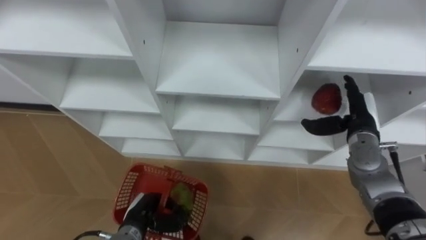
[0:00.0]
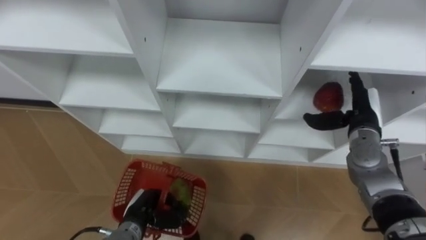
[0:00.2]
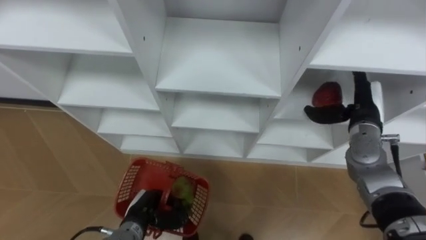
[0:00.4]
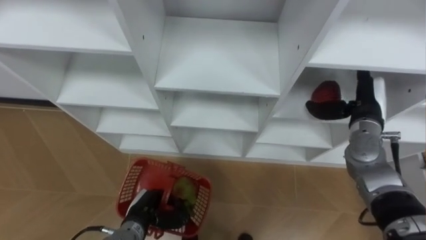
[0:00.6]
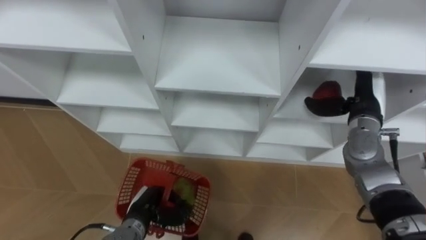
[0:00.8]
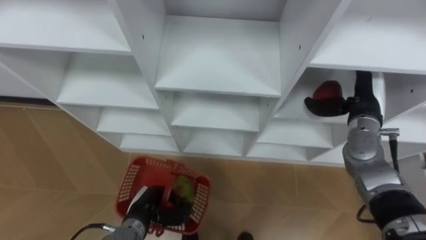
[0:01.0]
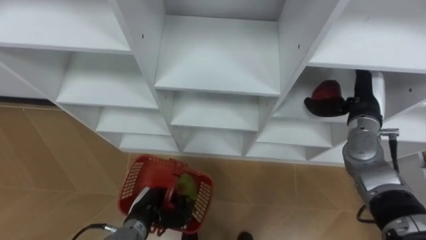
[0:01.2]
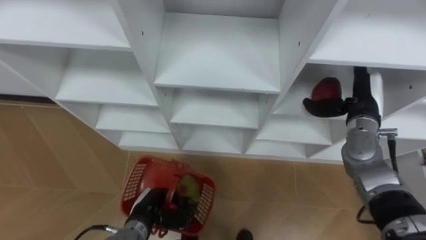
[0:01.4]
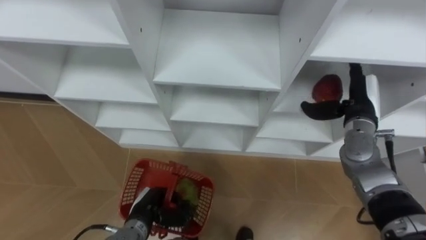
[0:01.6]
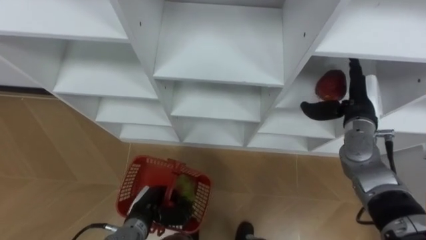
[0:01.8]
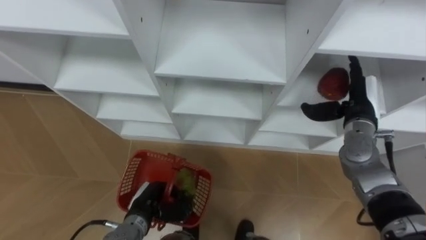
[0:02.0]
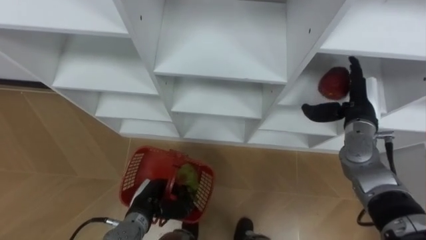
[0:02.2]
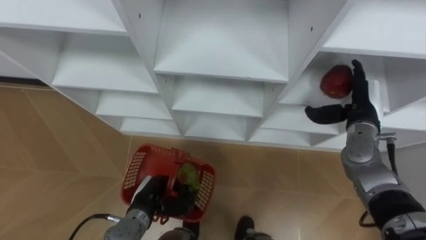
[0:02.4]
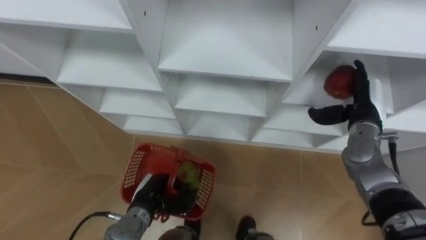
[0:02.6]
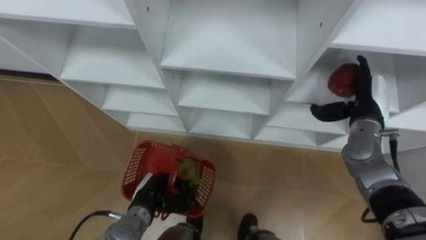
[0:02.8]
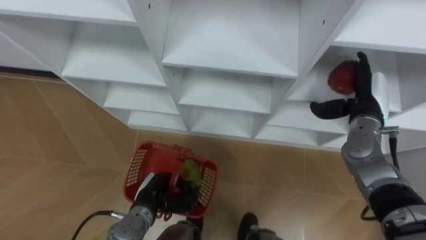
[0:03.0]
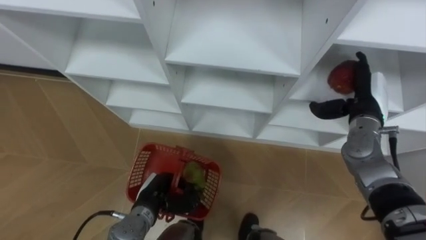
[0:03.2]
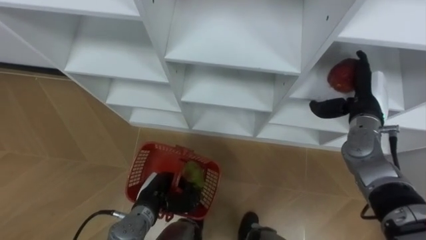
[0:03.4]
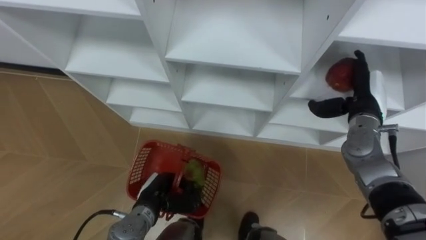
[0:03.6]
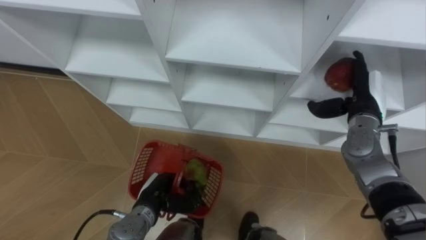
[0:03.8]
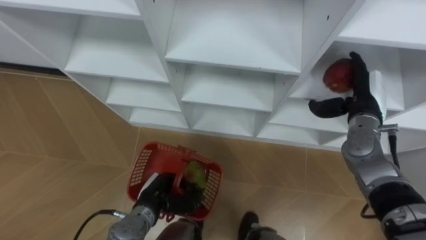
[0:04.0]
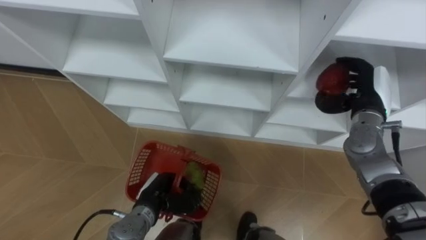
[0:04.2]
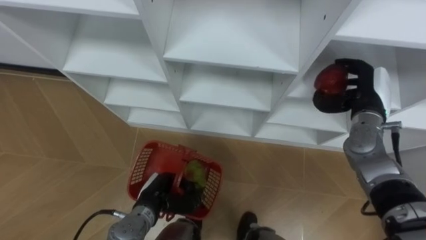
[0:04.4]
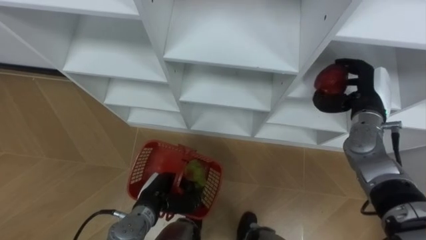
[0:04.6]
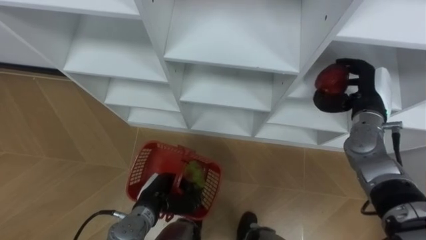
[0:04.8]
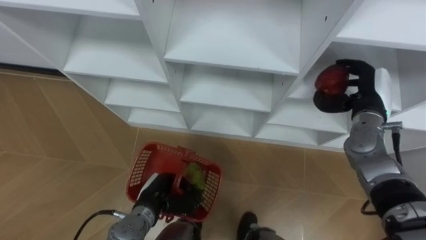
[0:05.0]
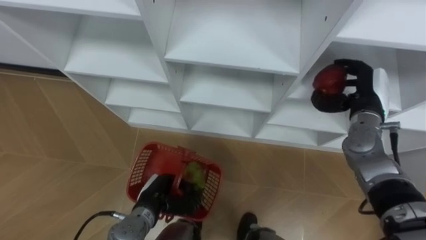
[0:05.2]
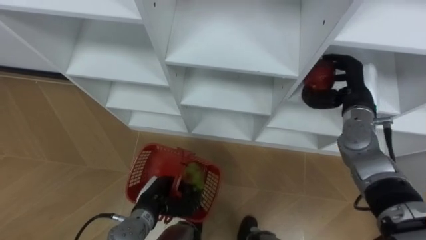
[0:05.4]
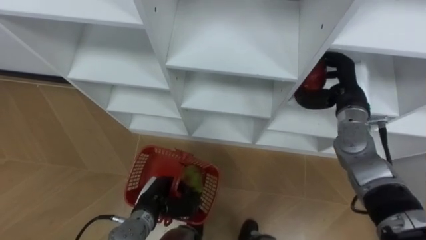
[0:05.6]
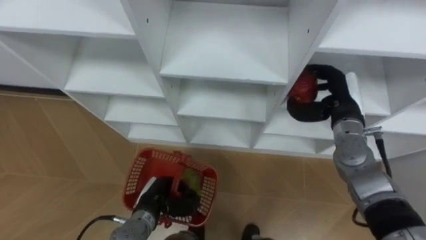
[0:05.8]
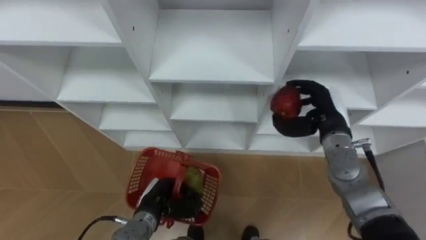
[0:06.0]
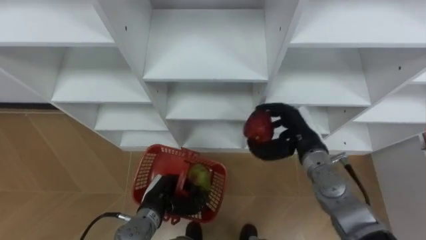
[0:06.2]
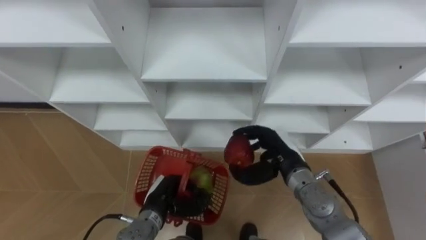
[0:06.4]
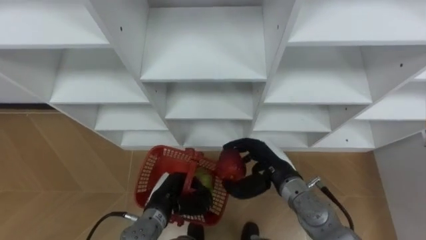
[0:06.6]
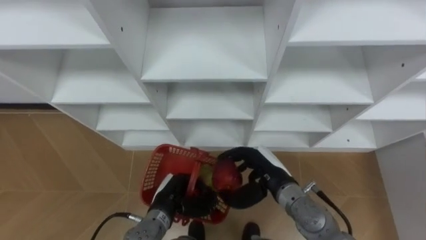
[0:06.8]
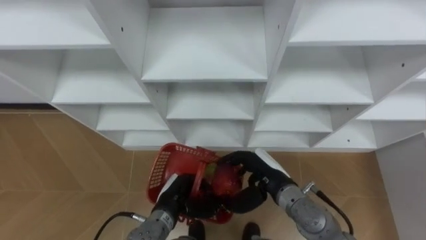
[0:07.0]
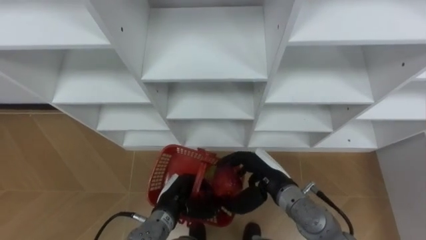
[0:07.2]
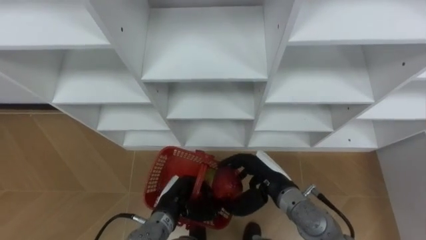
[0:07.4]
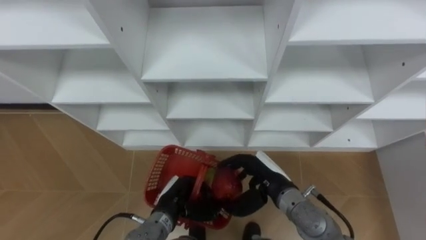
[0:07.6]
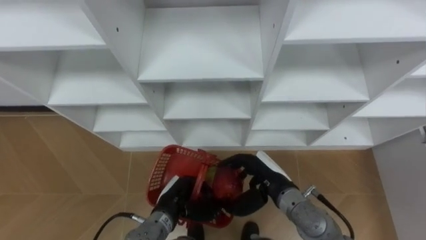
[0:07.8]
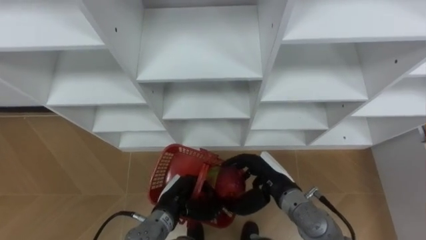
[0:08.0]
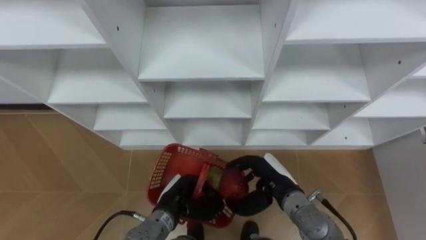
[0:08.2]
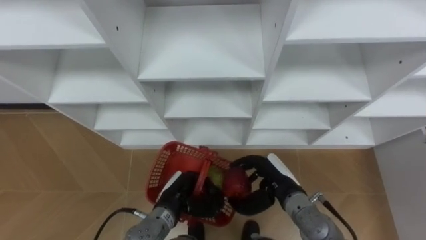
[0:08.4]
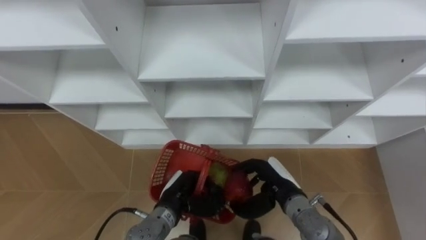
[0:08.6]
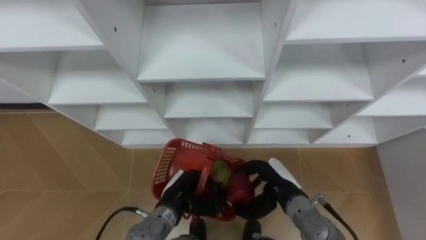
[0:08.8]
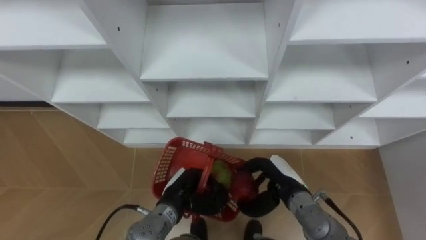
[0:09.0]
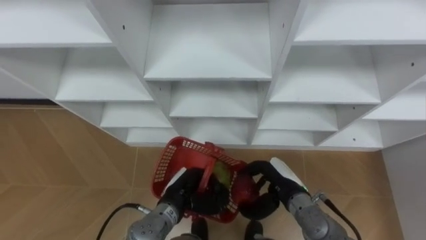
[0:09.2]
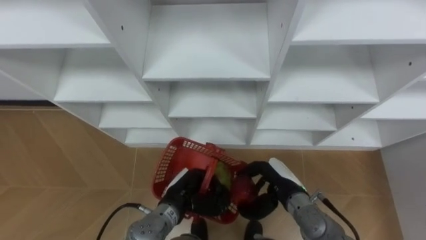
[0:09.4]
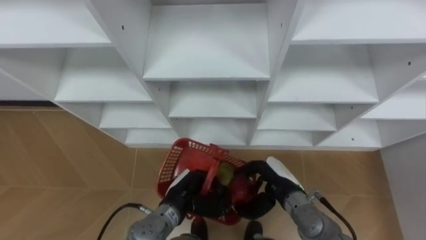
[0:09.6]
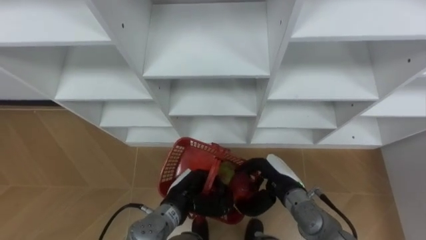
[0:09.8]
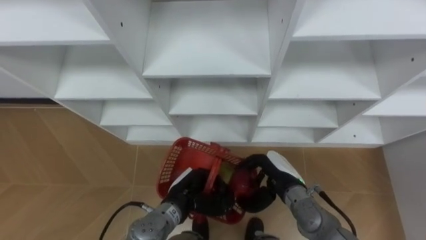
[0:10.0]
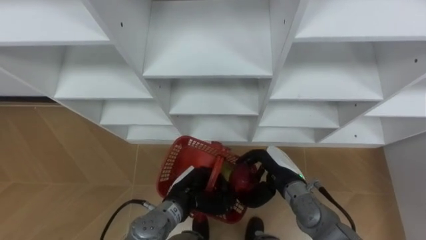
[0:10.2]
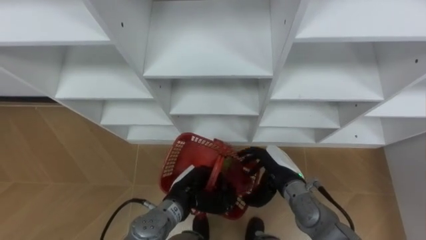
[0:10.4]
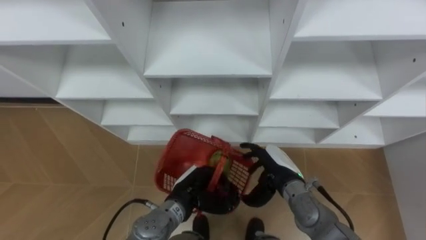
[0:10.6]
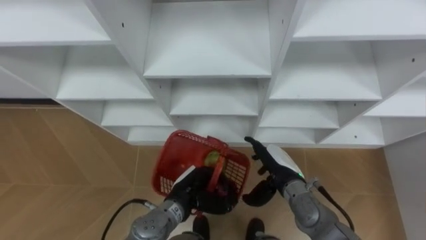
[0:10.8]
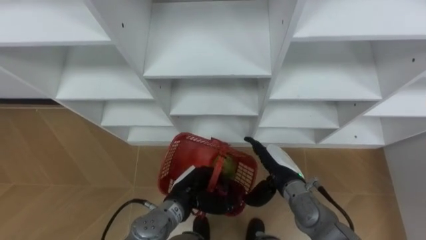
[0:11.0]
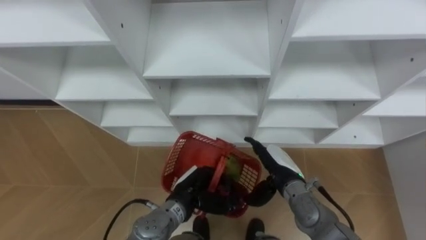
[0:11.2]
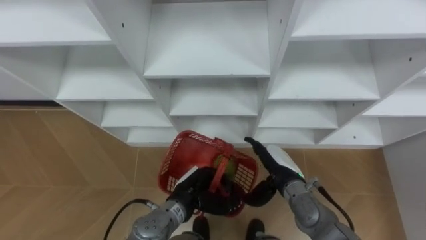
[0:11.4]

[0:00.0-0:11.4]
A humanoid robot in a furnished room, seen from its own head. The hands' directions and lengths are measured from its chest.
Task of the whole recording: Hold the basket and collect the fruits from 3 different cells of the closet into it.
0:05.6 to 0:07.2: The right hand goes approximately 20 cm to the left, backward and downward.
0:07.2 to 0:10.0: The hands make only small movements.
0:10.0 to 0:11.4: The right hand opens up.

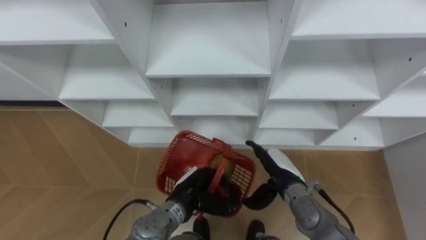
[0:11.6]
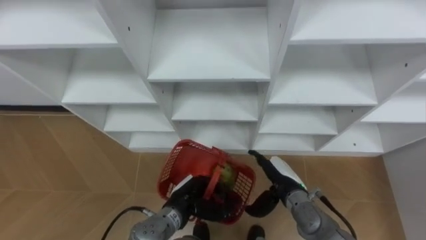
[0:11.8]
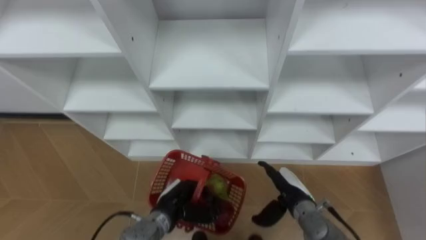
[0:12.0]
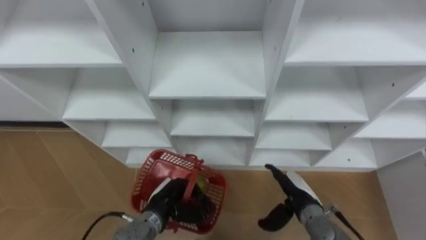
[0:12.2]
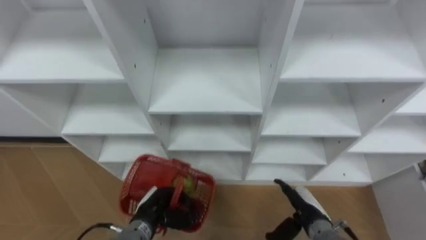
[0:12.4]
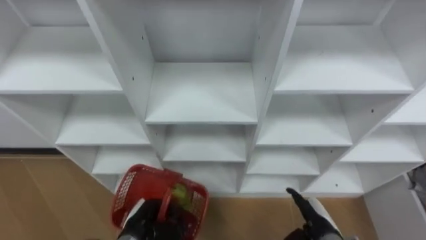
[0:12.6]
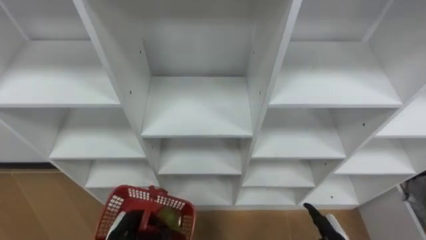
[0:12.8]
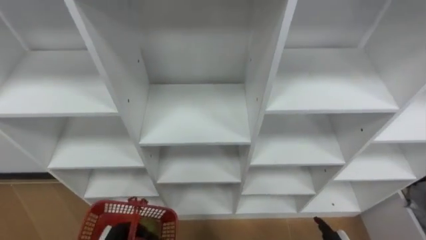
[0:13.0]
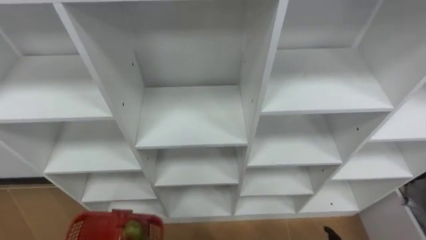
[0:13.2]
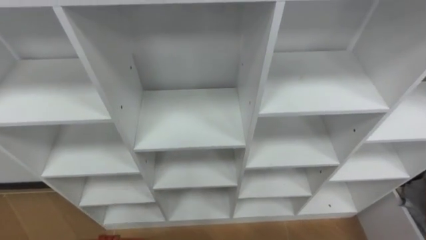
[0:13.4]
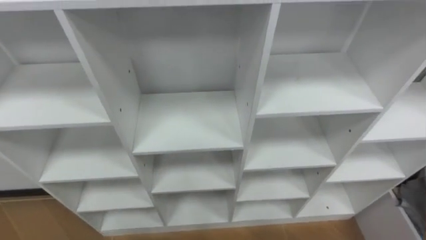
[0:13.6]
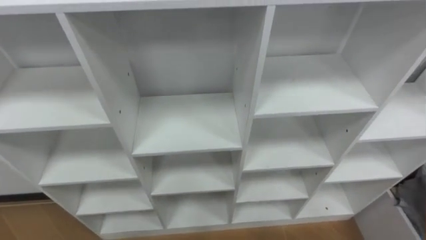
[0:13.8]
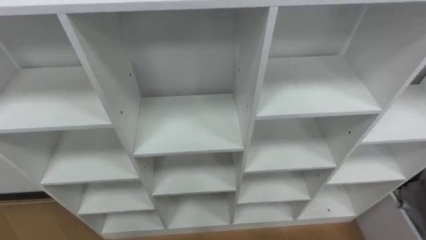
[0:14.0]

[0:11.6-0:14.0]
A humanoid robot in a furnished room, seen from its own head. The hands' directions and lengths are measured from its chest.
Task of the whole recording: Hold the basket and collect the fruits from 3 different cells of the closet into it.
0:11.6 to 0:12.8: The left hand moves to the left, backward and downward, some 20 cm; the right hand travels backward, to the right and downward by roughly 20 cm.

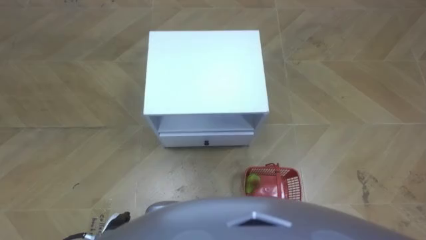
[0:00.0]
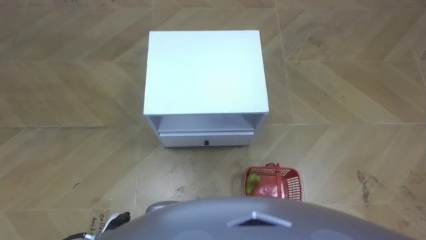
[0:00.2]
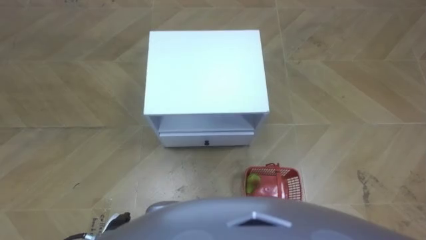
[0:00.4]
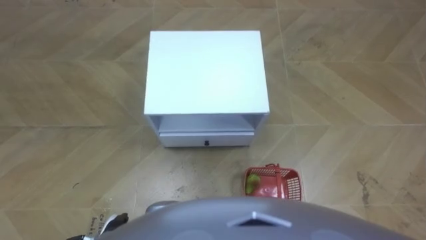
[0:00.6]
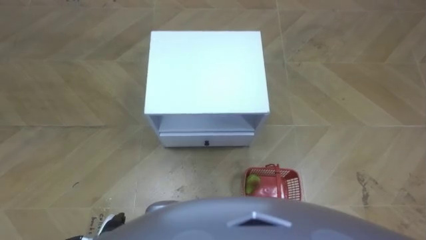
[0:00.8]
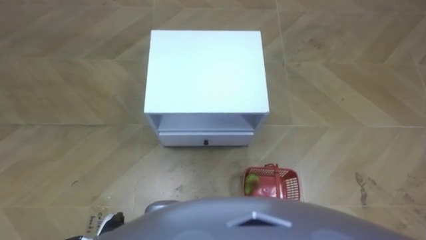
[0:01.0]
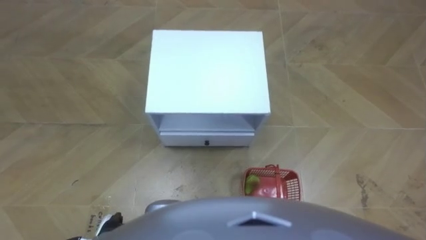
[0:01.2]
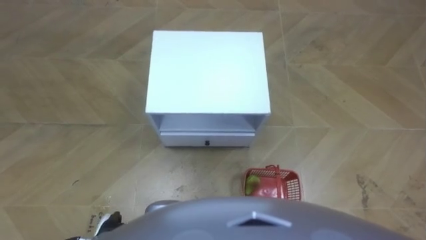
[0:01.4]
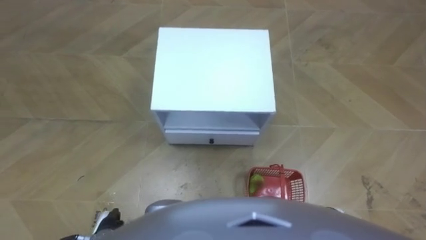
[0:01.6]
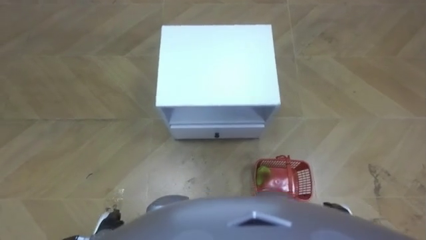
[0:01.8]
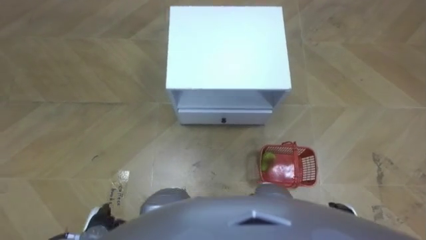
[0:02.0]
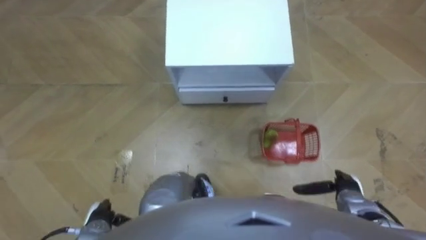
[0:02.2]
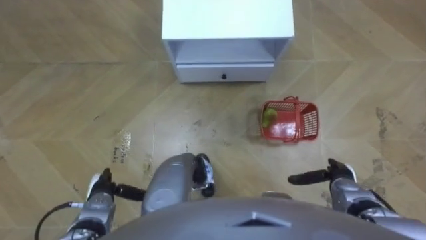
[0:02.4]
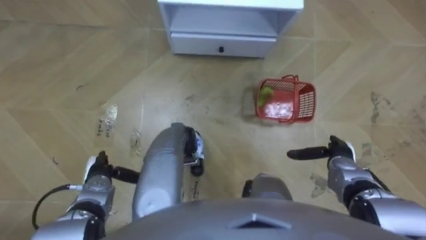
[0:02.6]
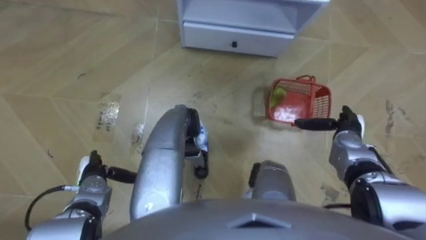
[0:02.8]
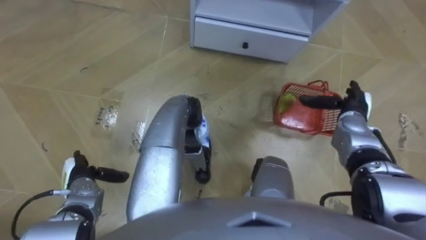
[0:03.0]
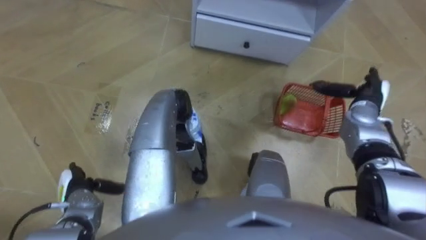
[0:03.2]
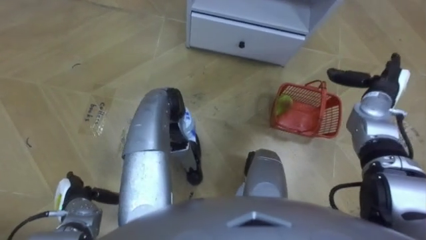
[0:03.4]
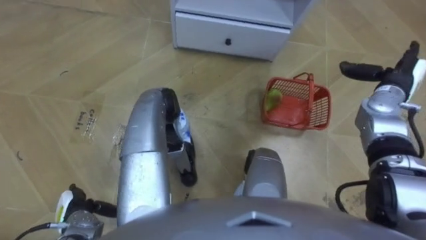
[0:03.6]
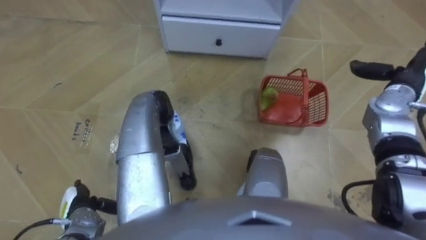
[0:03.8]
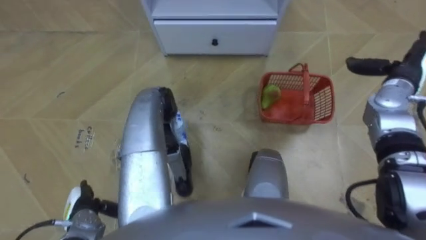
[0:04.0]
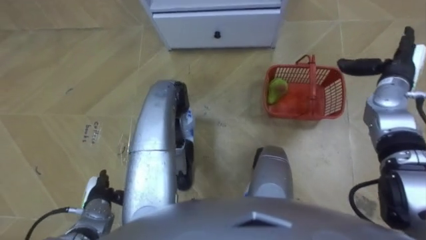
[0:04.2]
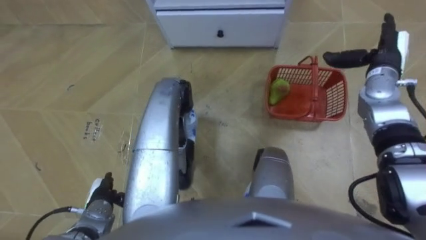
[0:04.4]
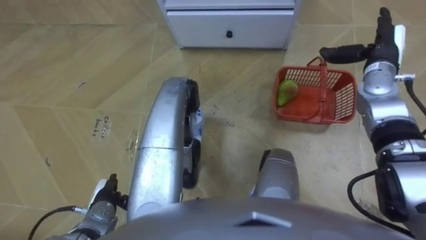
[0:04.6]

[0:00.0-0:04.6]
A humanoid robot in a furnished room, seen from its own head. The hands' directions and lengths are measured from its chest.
Task of the whole recording: Pick up the fruit basket from the floor and place it on the cabinet.
0:01.6 to 0:03.0: The left hand travels forward and to the left by about 15 cm, while the right hand shifts about 25 cm forward.
0:03.0 to 0:04.6: The right hand heads upward and forward, covering roughly 15 cm. Meanwhile the left hand goes about 5 cm to the right.
